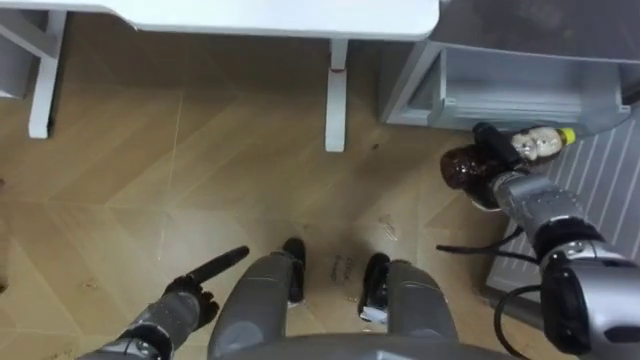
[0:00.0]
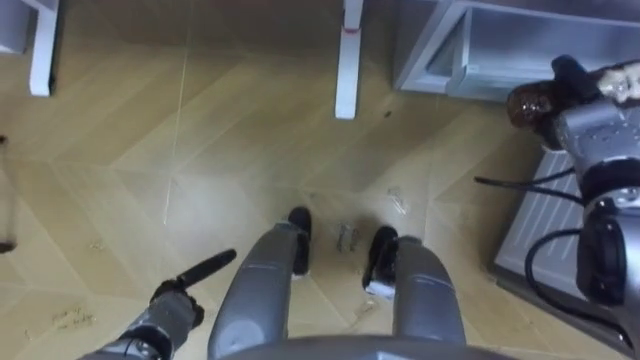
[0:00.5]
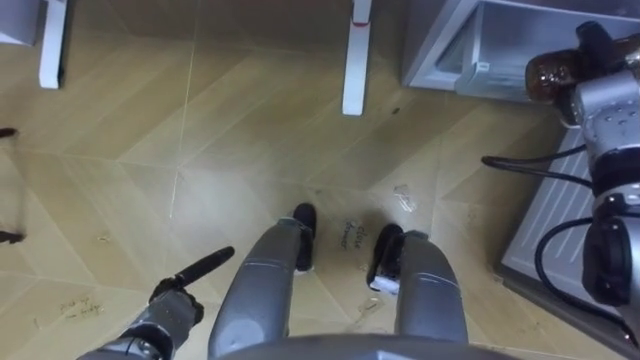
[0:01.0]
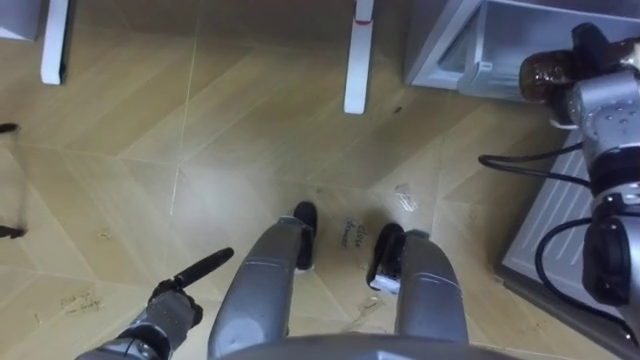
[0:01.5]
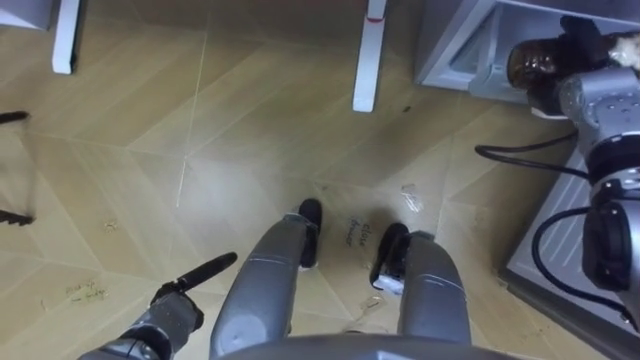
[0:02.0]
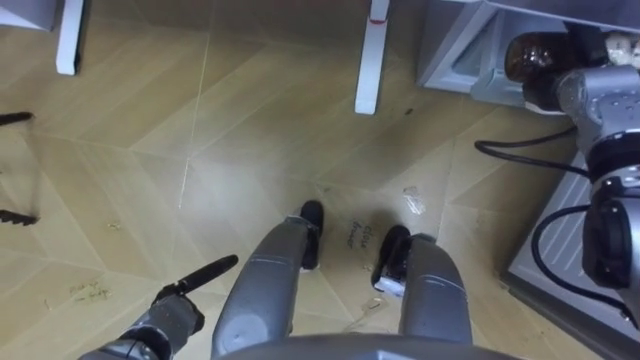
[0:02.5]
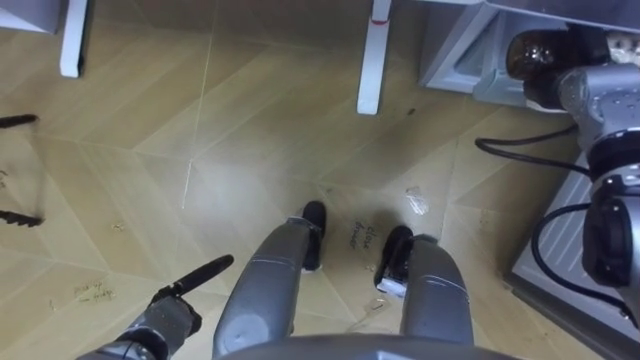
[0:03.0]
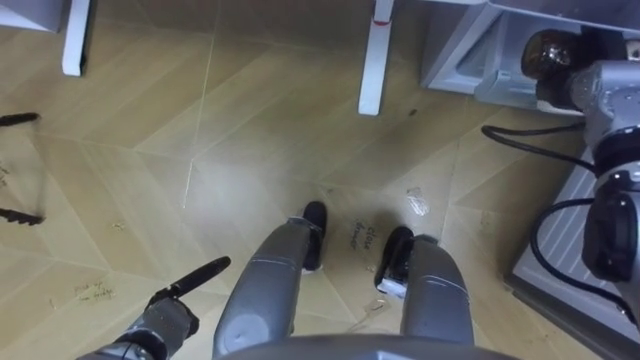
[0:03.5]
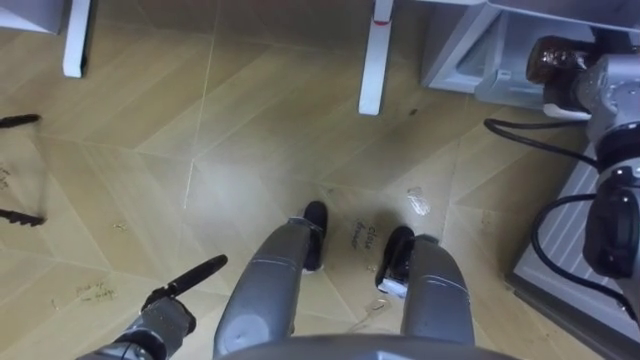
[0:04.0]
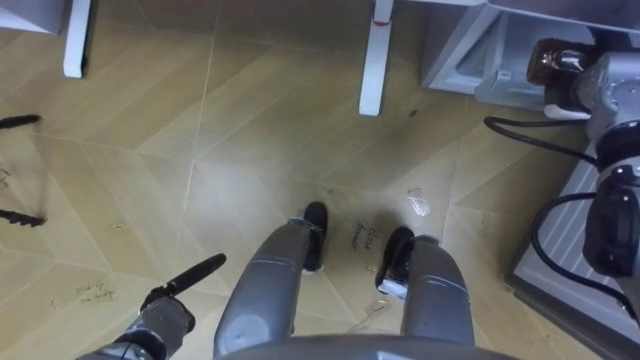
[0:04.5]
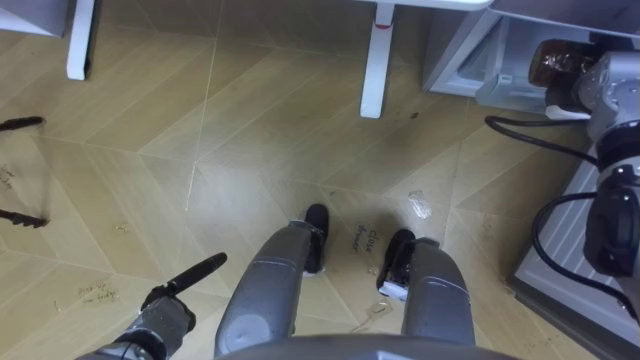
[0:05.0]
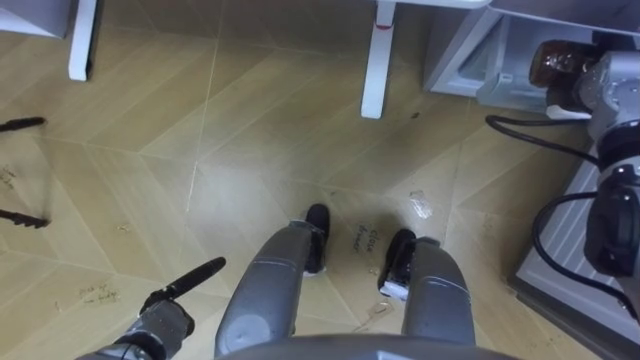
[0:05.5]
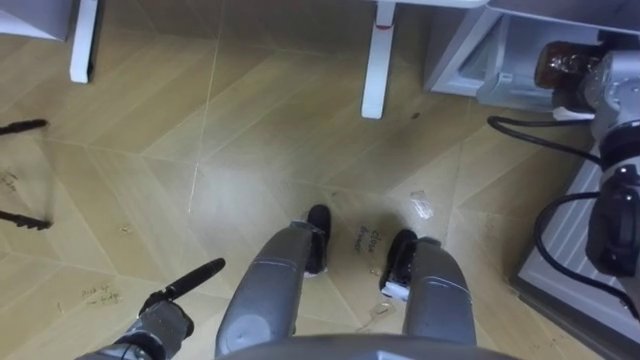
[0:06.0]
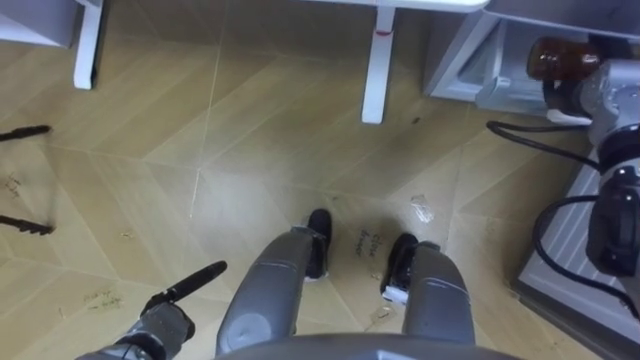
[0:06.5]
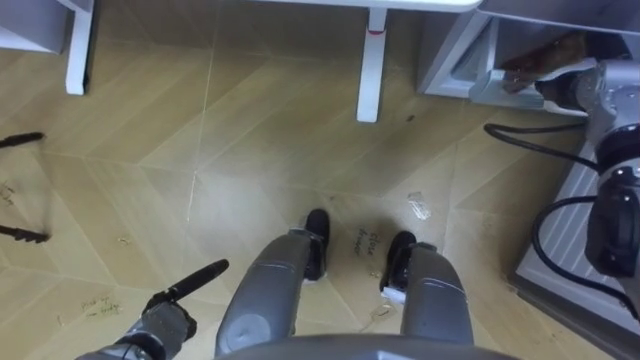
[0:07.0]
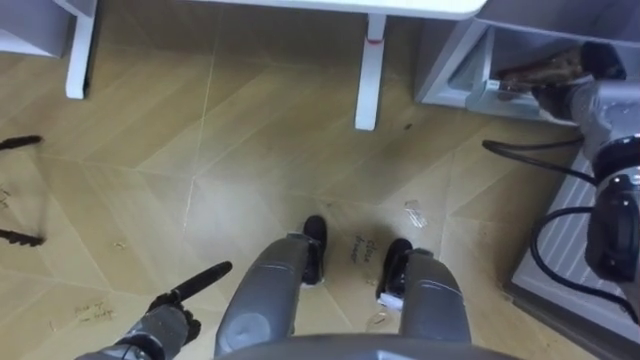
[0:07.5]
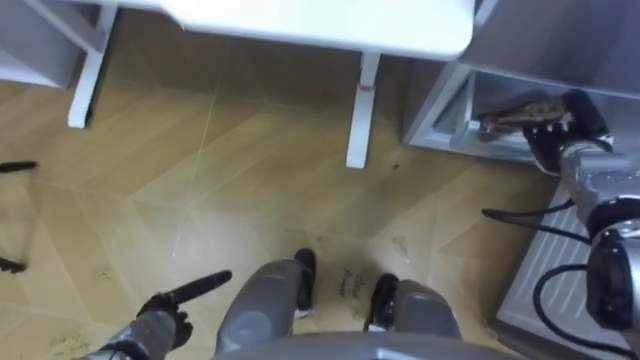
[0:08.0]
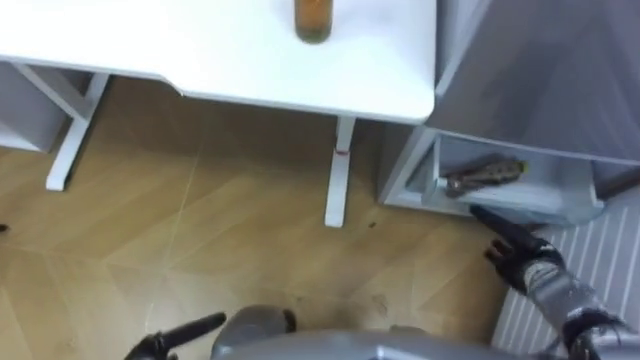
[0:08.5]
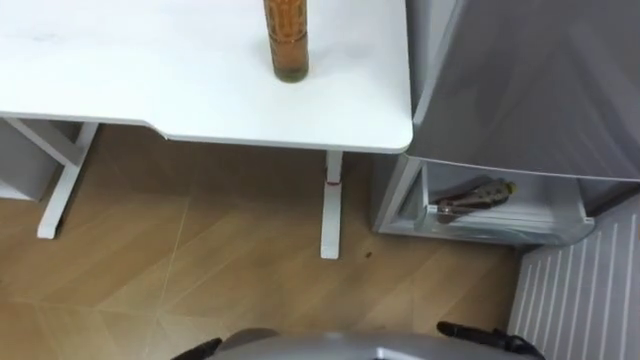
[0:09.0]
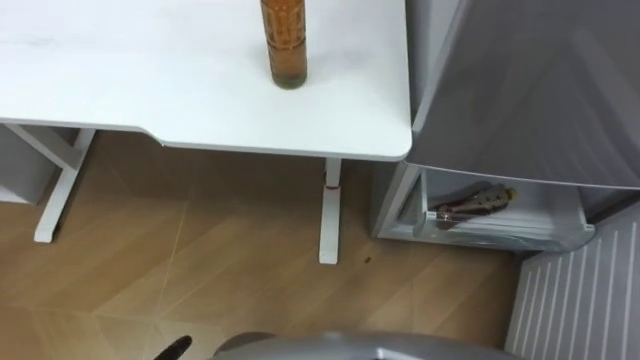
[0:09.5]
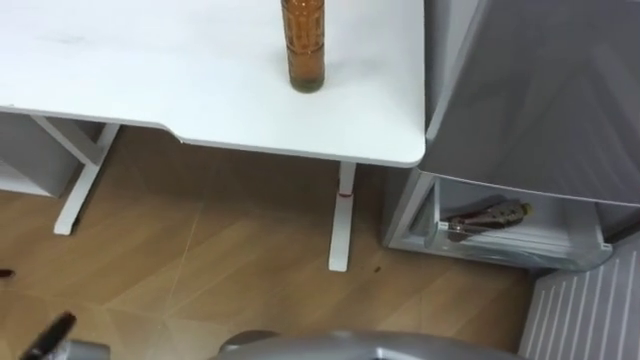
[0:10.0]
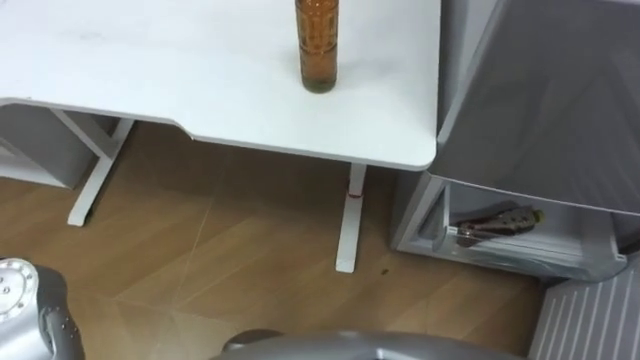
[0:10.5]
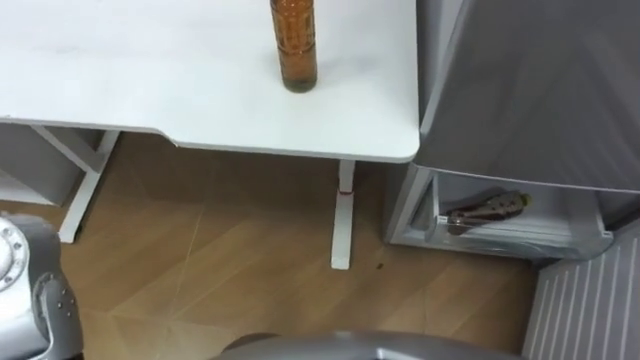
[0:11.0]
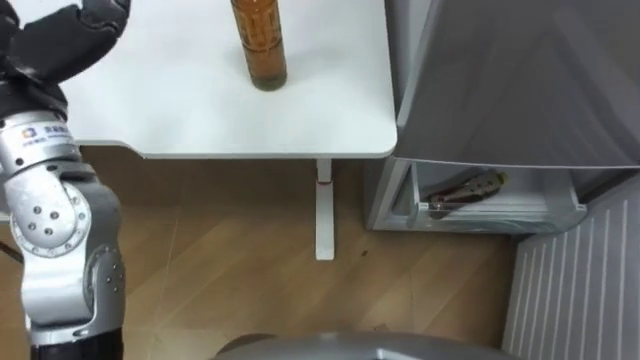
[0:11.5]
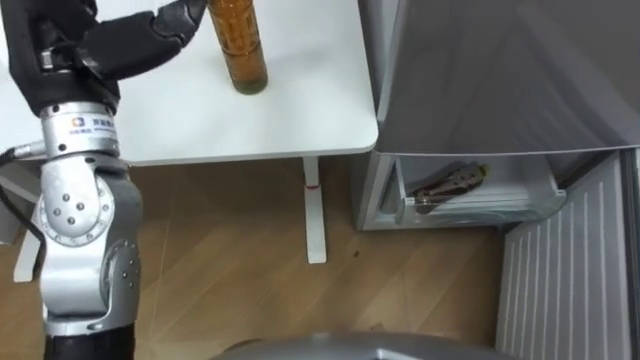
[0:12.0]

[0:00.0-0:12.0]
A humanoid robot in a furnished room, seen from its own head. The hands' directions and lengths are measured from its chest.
Task of the whole recording: Place the drink on the table on the bottom shelf of the refrigerator, then close the drawer and the refrigerator door.
0:00.0 to 0:02.0: The right hand travels upward, forward and to the right by roughly 15 cm.
0:02.0 to 0:04.0: The hands stay close to where they were, moving slightly.
0:04.0 to 0:06.0: Both hands stay put.
0:06.0 to 0:08.0: The right hand shifts some 5 cm downward, and opens its fingers.

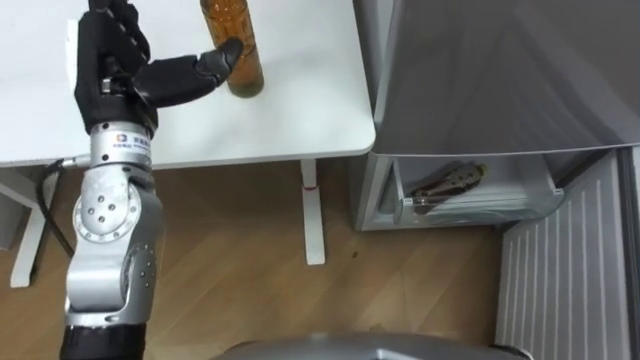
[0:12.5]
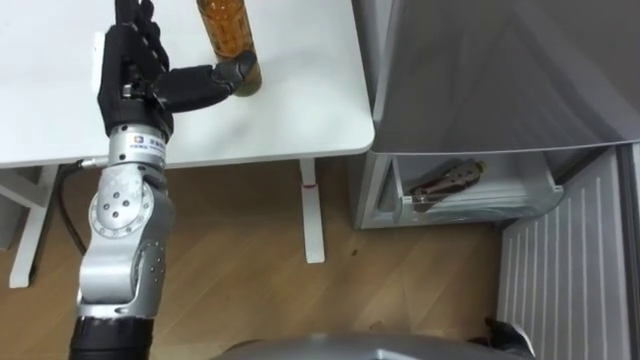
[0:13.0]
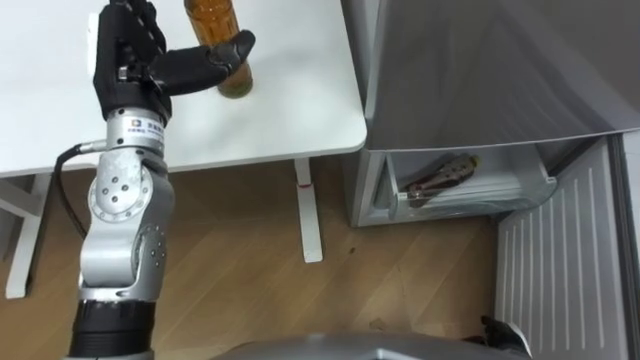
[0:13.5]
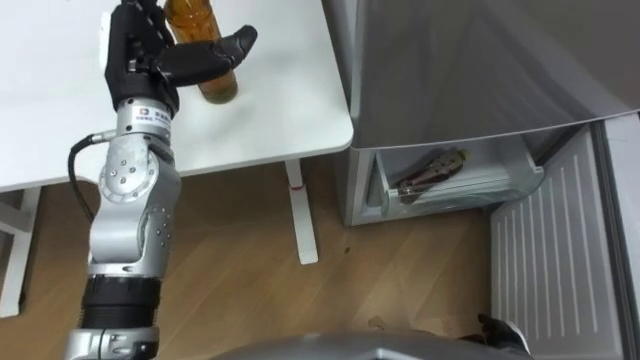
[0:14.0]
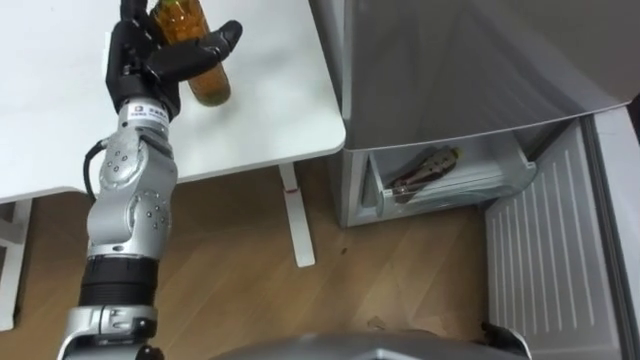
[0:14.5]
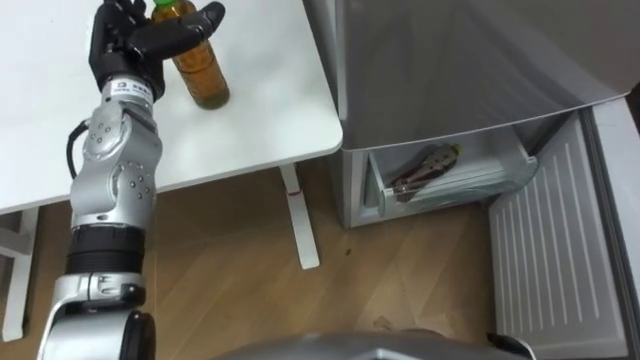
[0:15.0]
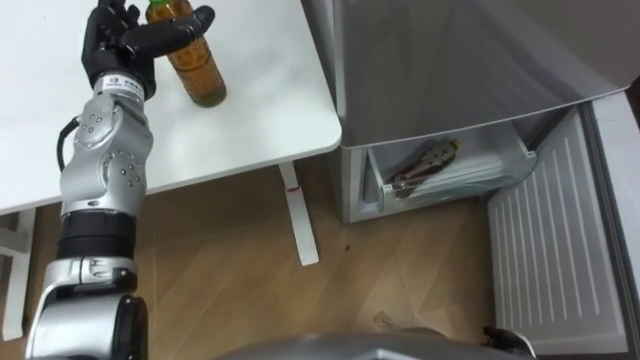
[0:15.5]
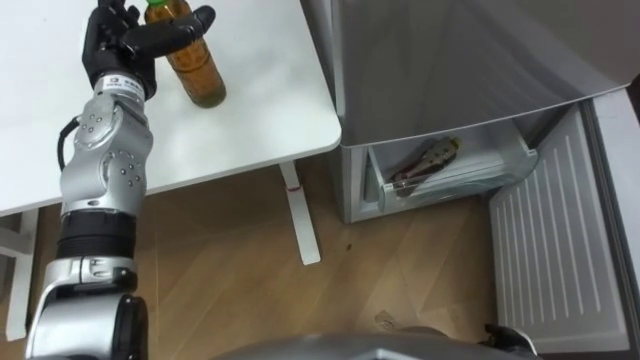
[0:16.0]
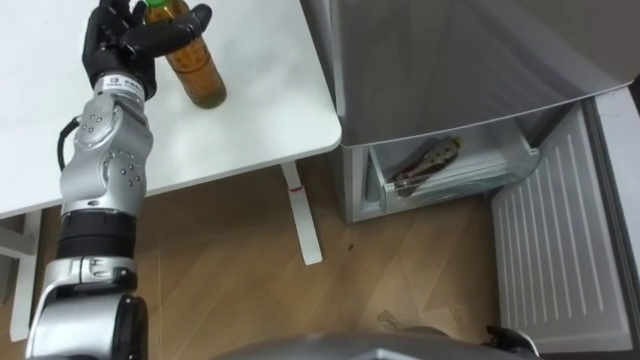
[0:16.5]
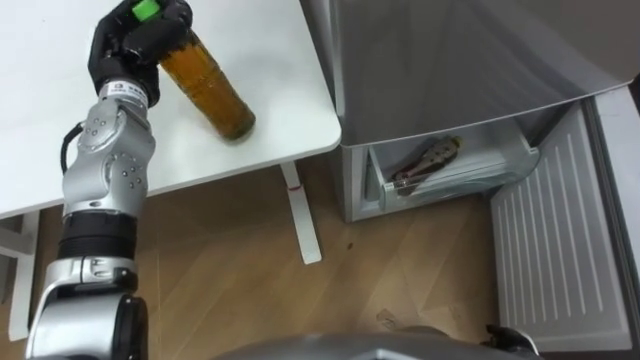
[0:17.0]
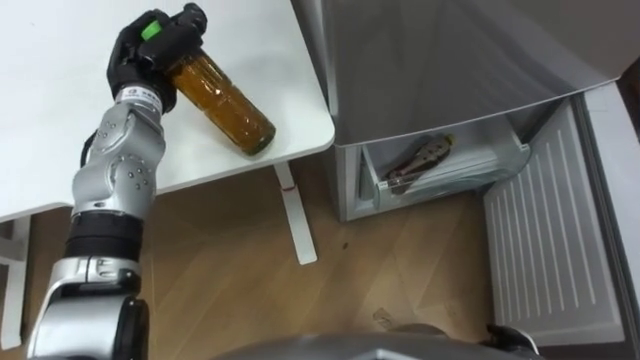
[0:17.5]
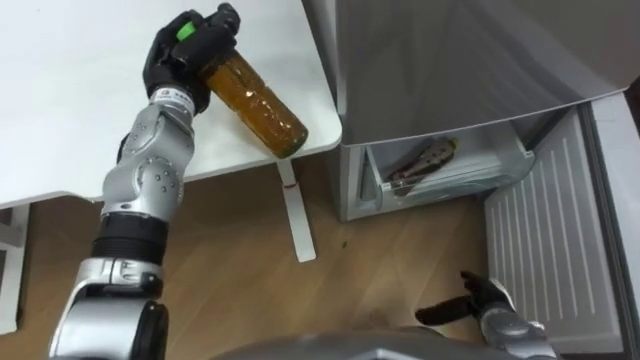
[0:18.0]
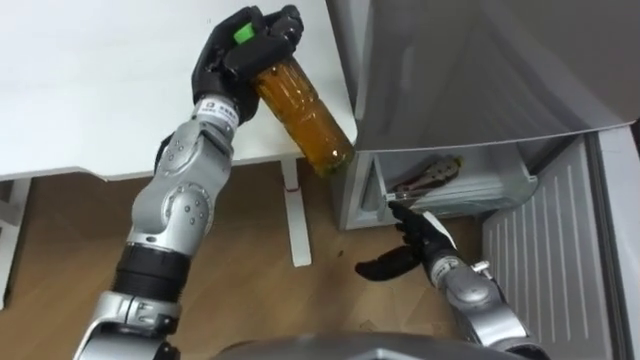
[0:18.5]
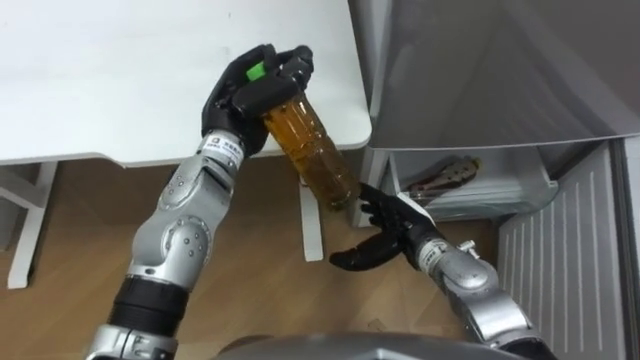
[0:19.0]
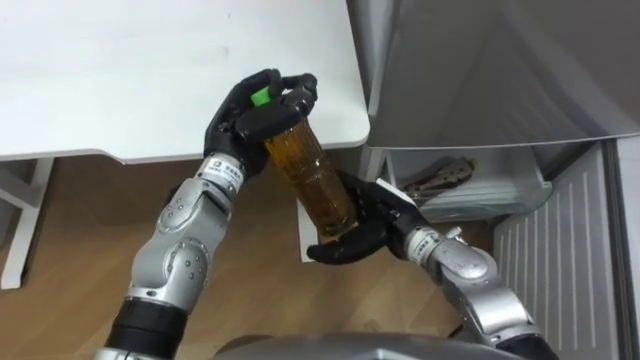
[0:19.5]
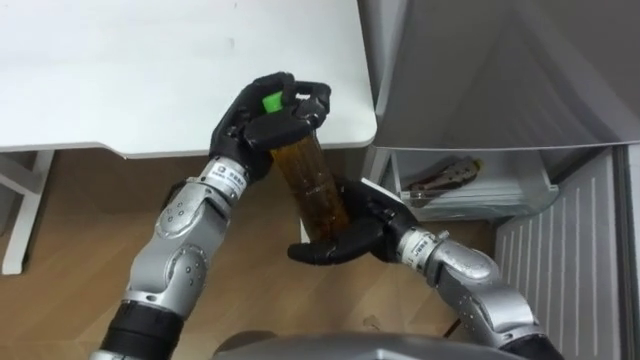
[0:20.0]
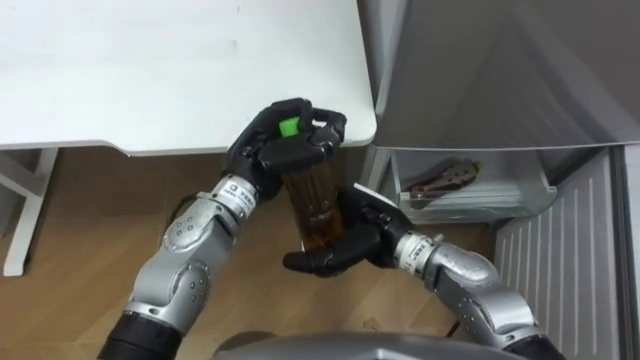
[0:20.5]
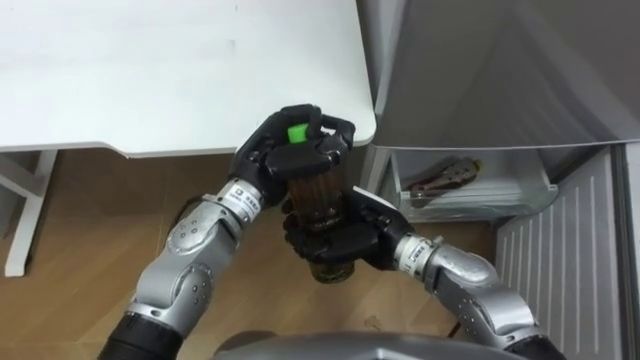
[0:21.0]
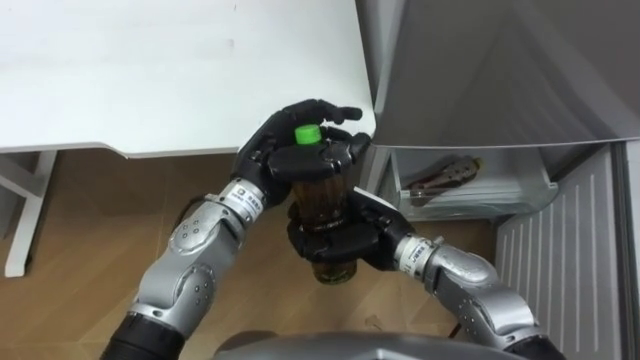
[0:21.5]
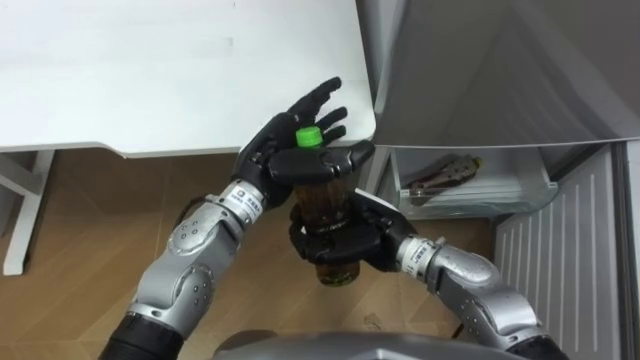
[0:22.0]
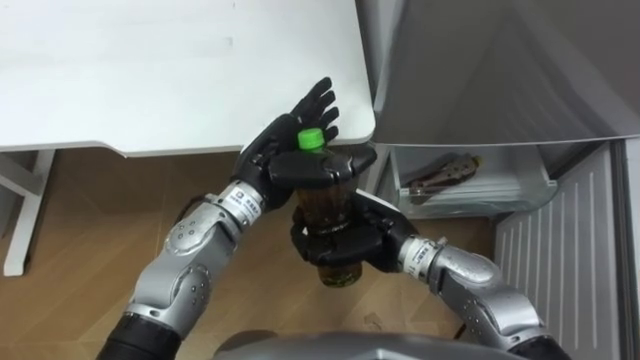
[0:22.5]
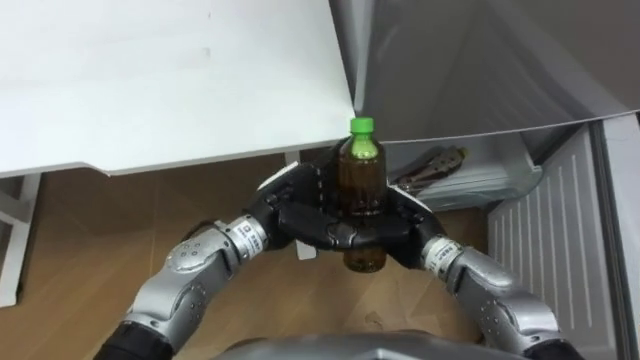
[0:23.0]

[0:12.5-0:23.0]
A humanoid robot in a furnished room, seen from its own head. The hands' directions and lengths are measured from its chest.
Task of the whole recording: Place the drink on the table on the bottom shelf of the refrigerator, then close the drawer and the refrigerator door.
0:12.5 to 0:14.5: The left hand moves downward and forward, some 10 cm.
0:16.5 to 0:19.0: The left hand heads to the right, covering about 15 cm, and closes its fingers. The right hand moves forward, to the left and upward, roughly 25 cm.
0:19.0 to 0:21.0: The left hand travels backward by about 5 cm; the right hand moves to the left and upward, some 10 cm, and closes up.
0:21.0 to 0:23.0: The right hand shifts by about 5 cm. The left hand ends up some 5 cm from where it was, and opens.
